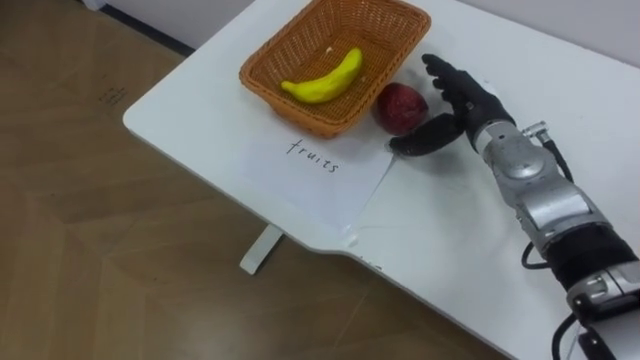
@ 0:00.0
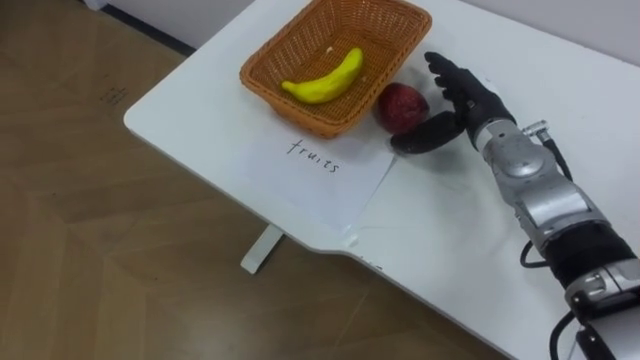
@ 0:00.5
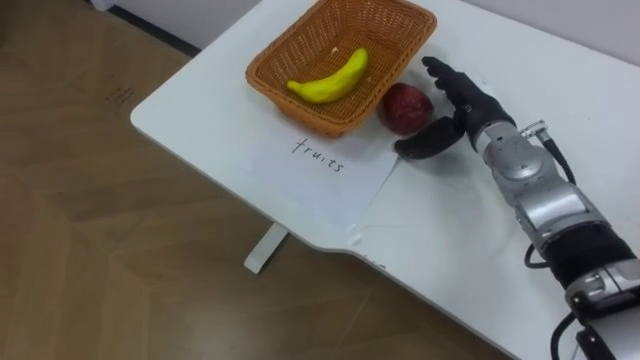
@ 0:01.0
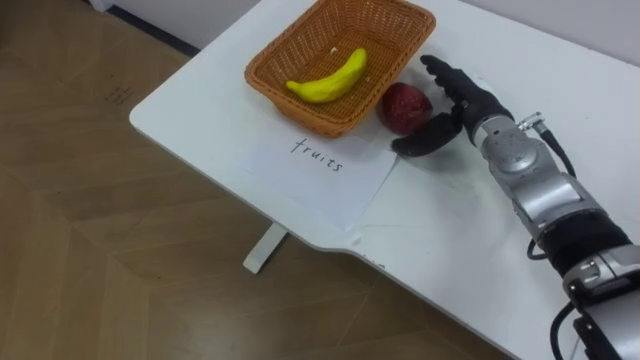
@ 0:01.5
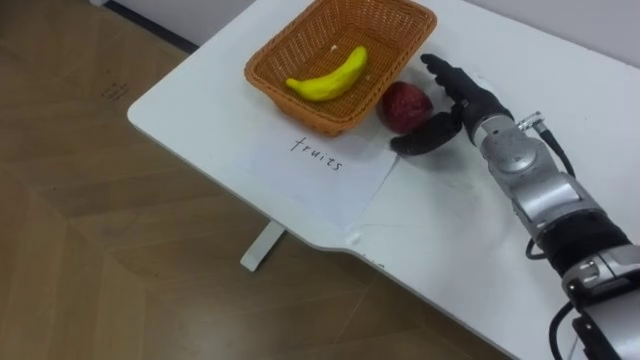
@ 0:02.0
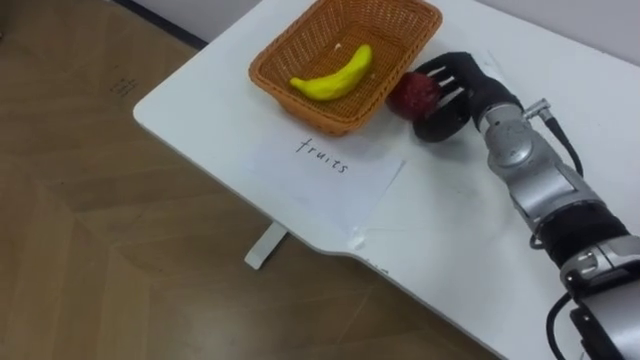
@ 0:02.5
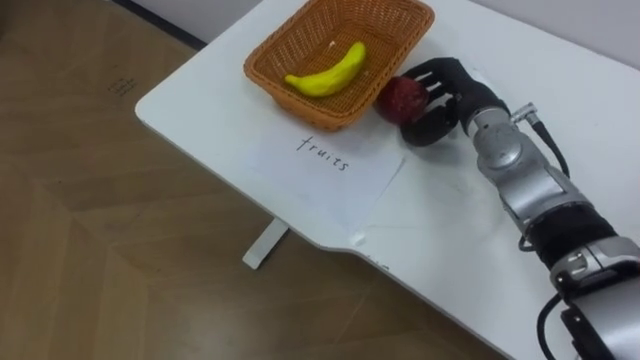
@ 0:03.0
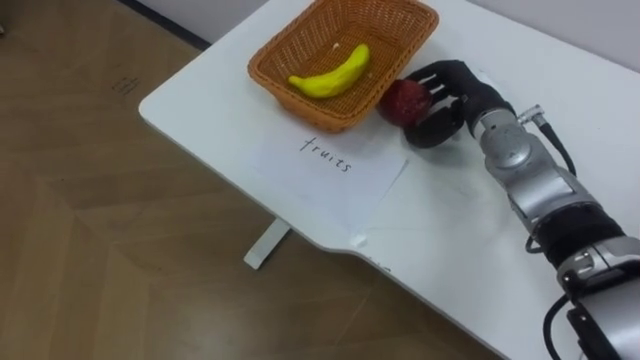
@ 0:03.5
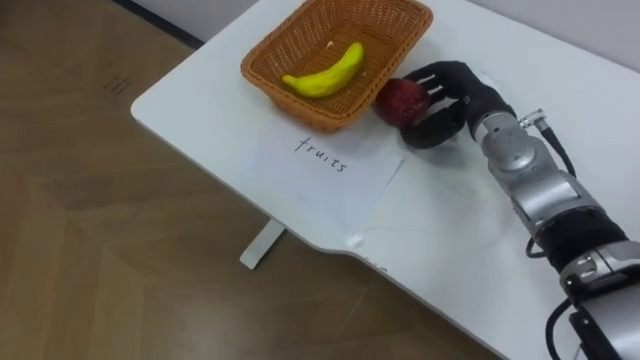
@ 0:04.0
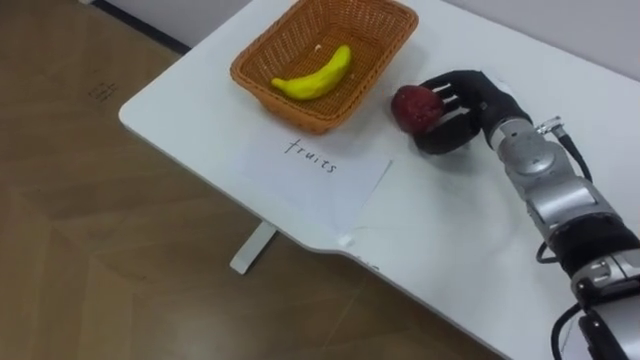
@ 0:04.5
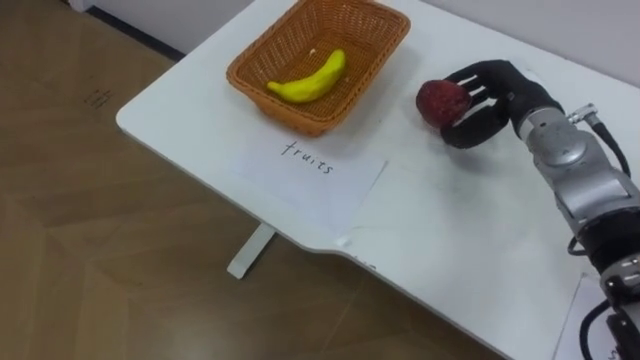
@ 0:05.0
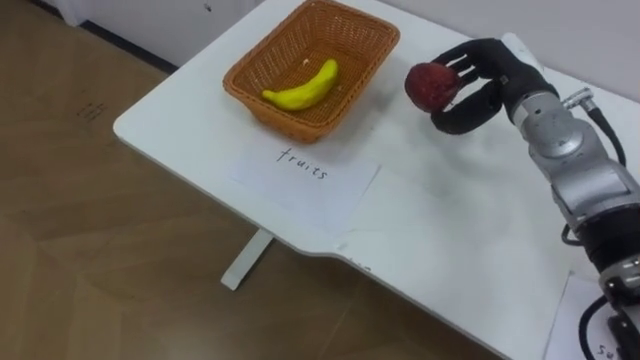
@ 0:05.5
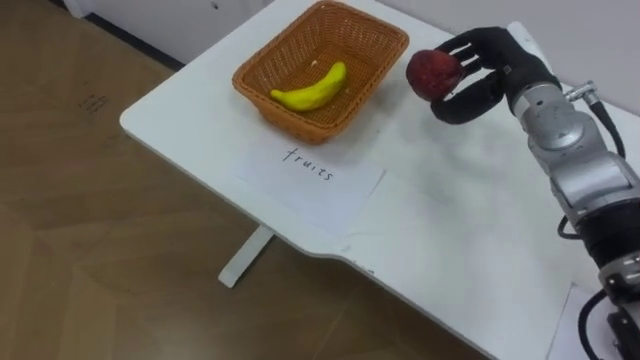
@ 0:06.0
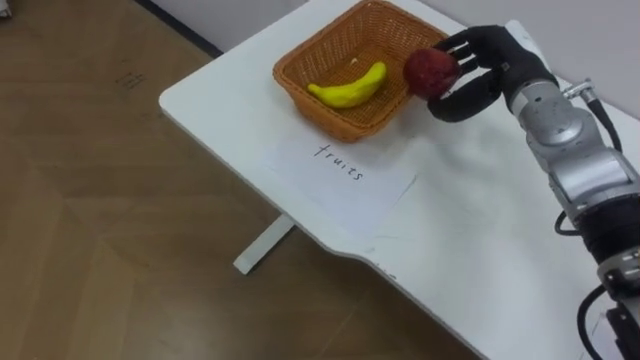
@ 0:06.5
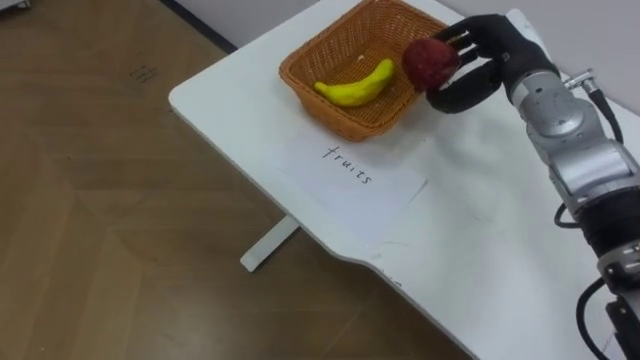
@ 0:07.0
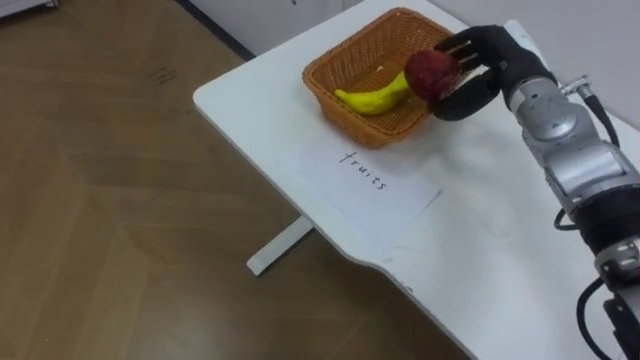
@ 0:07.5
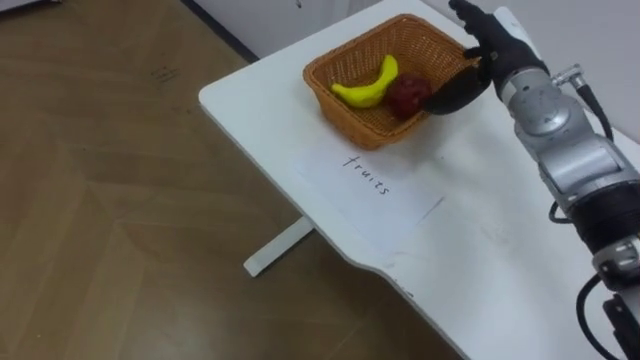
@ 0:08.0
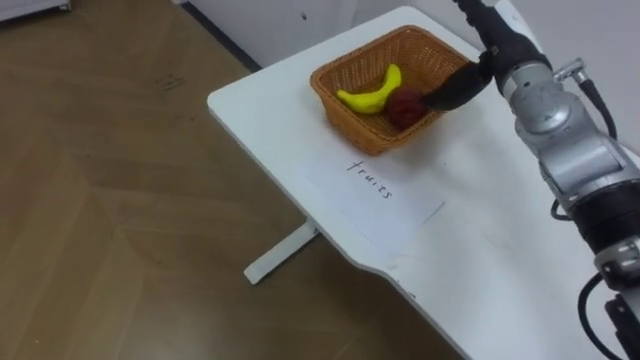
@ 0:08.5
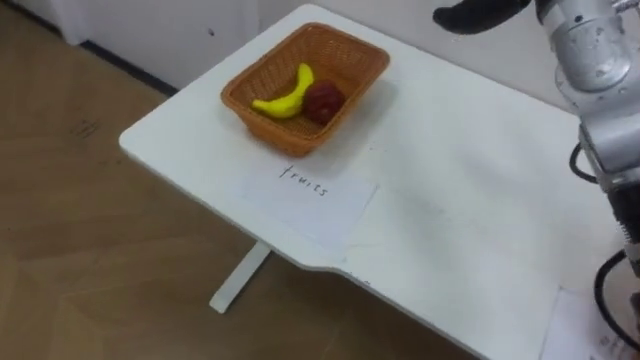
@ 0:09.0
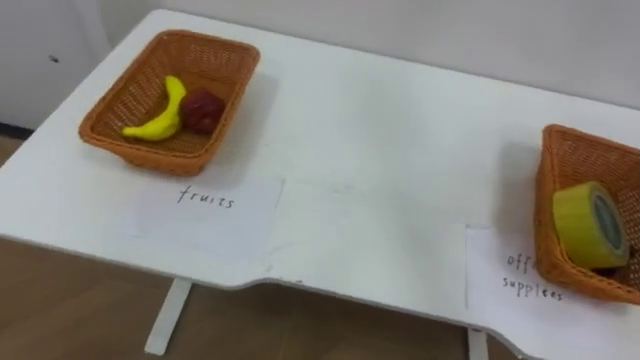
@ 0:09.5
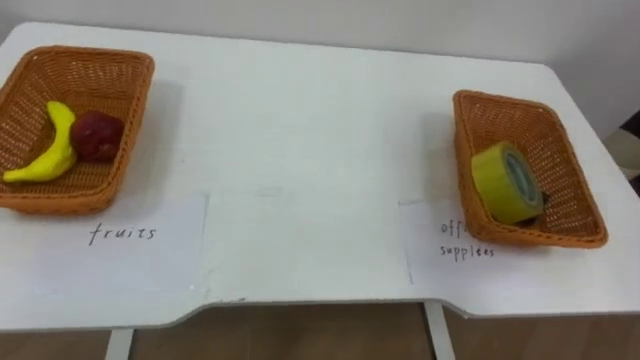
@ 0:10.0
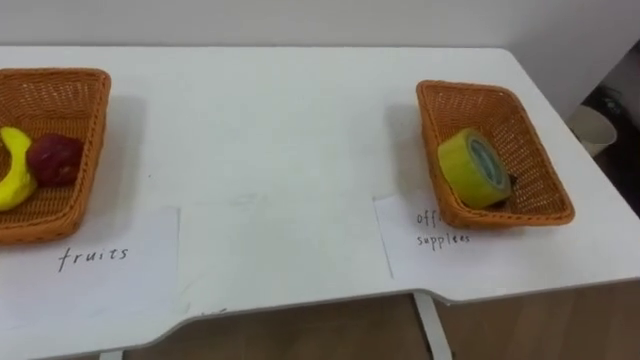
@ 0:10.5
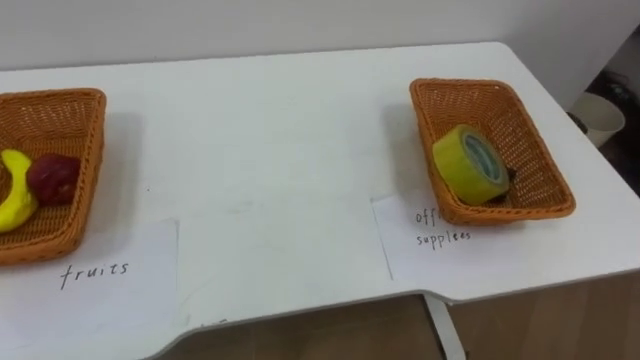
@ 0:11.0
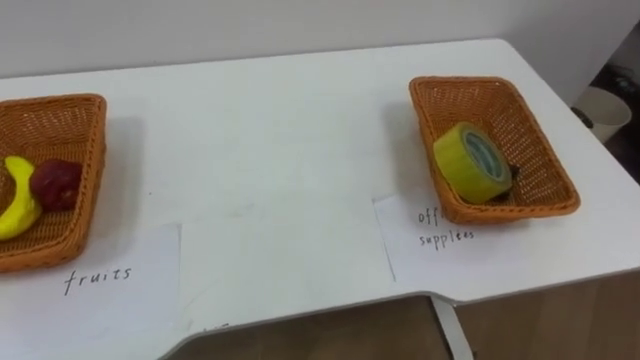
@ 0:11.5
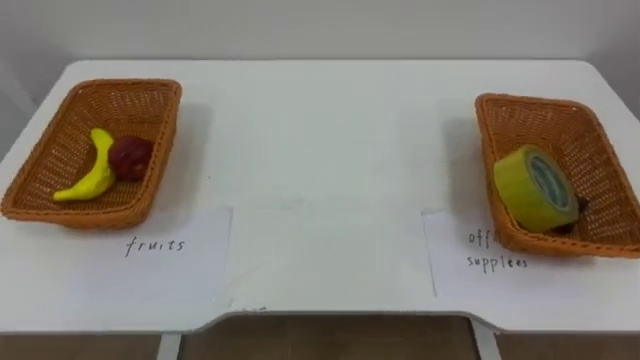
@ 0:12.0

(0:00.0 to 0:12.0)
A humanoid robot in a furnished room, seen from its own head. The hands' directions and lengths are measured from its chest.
Task of the whole recording: Separate the items on the table and place them into the two baskets.
0:02.0 - 0:04.0: The right hand closes.
0:04.0 - 0:06.0: The right hand ends up some 5 cm from where it was.
0:06.0 - 0:08.0: The right hand opens its fingers.

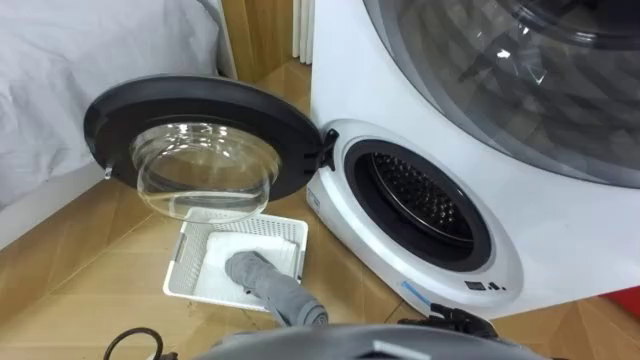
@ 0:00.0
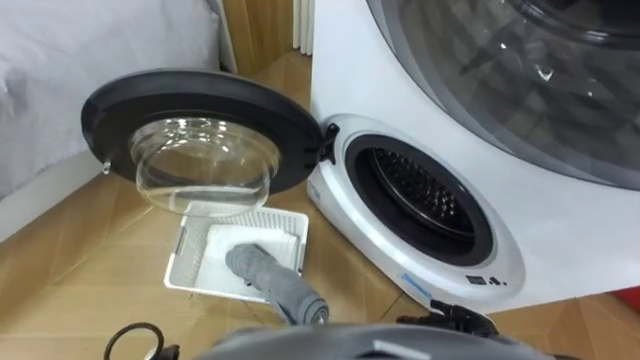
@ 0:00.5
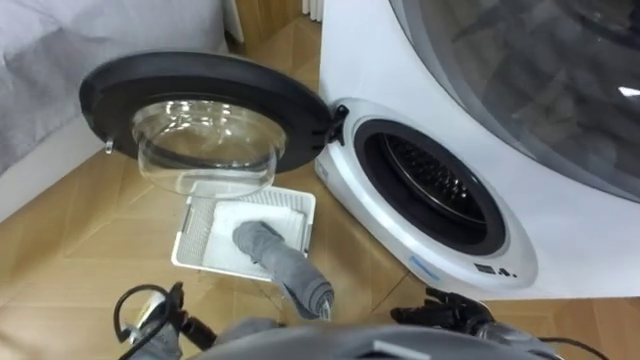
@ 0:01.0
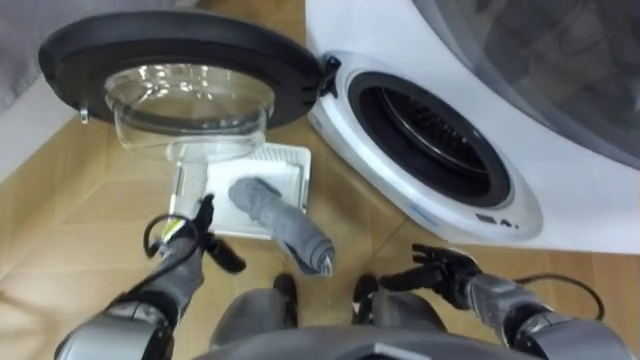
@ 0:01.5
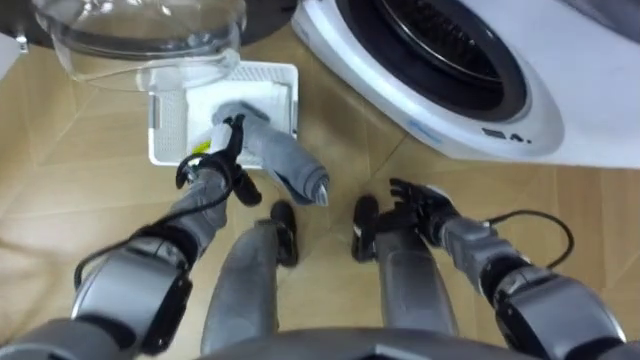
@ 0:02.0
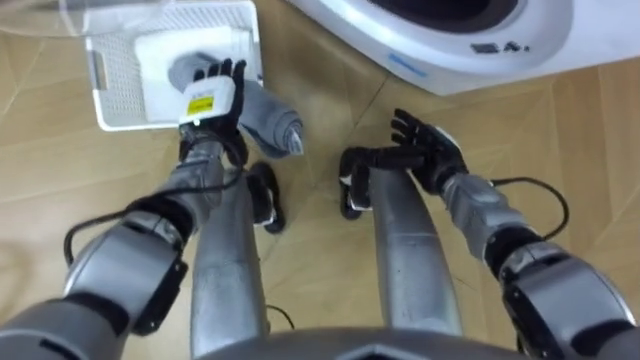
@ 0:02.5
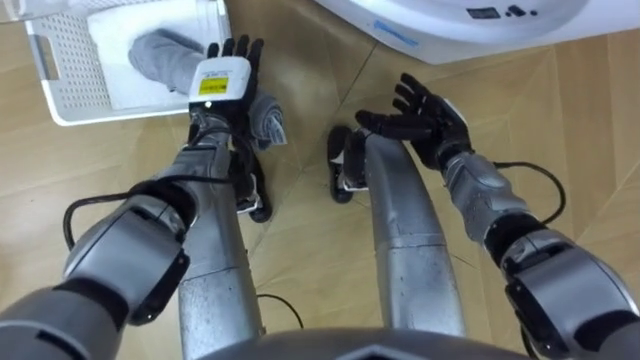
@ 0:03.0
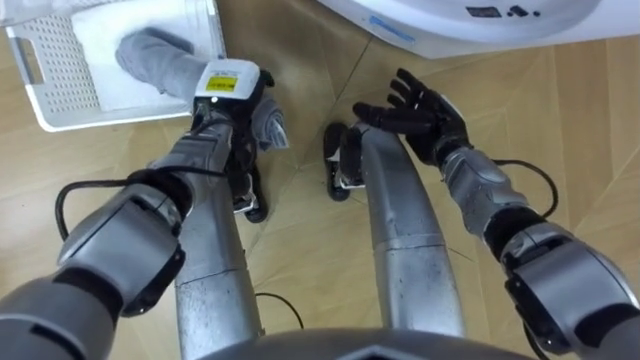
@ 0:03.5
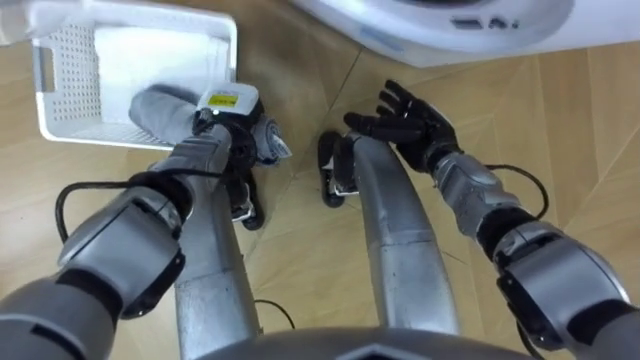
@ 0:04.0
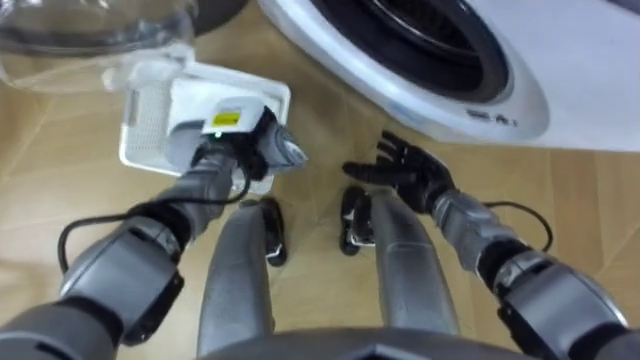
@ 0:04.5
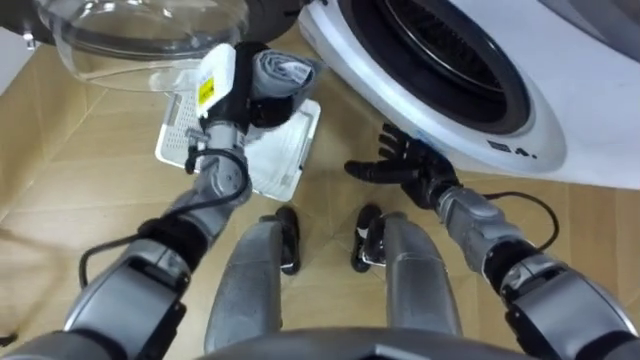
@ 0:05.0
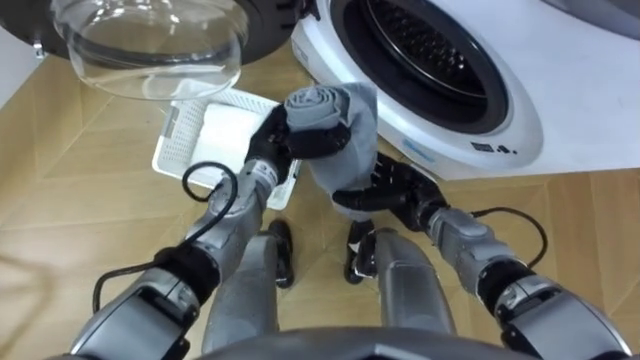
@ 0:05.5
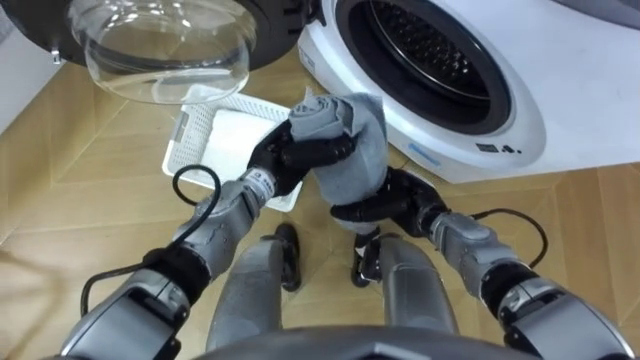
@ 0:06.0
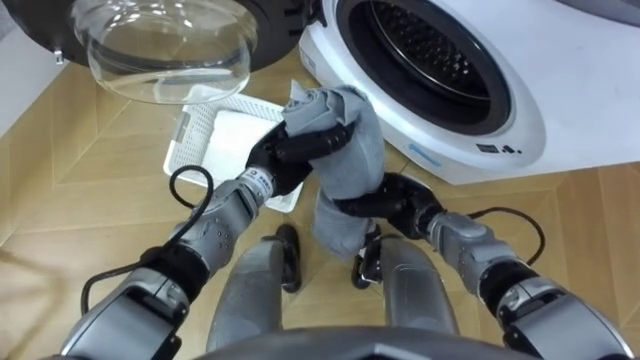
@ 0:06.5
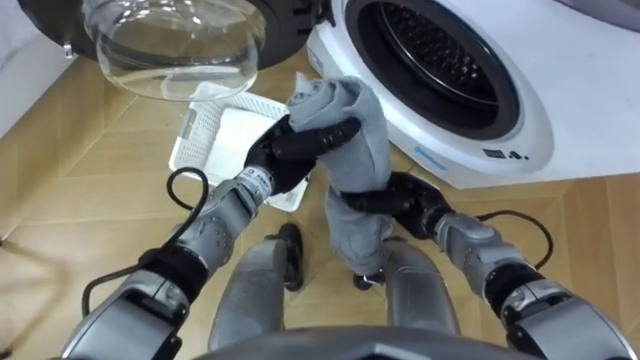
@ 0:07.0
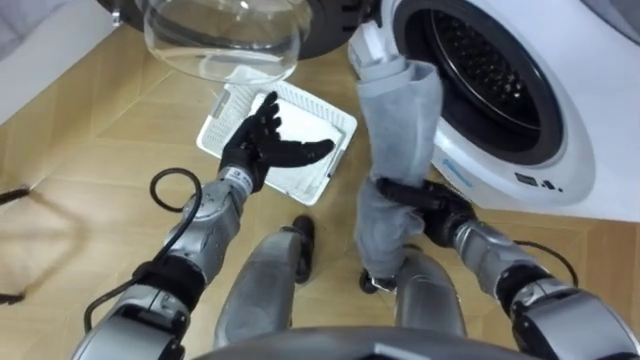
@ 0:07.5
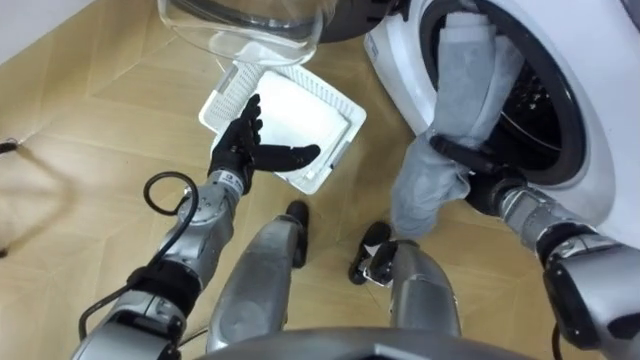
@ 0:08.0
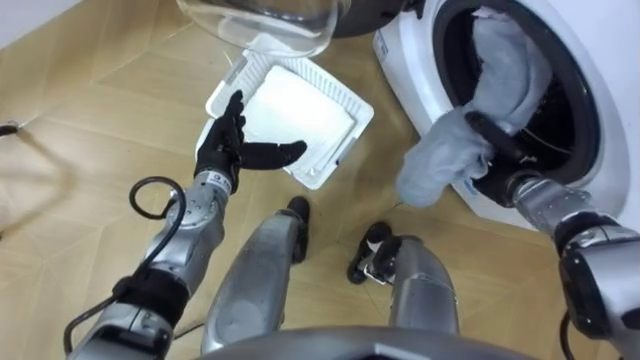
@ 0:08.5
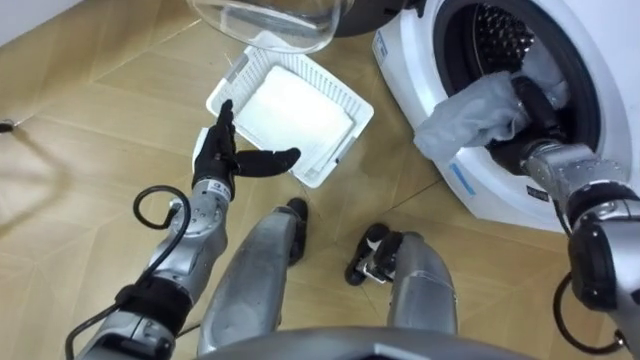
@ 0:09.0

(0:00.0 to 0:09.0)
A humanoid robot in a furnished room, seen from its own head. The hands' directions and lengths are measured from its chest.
Task of the whole recording: Take the towel from the basket and put it into the washing machine.
0:02.0 - 0:04.5: The left hand closes. Meanwhile the right hand shifts roughly 5 cm forward.
0:04.5 - 0:07.0: The right hand closes its fingers. The left hand heads to the right, covering some 5 cm.
0:07.0 - 0:09.0: The right hand travels to the right and forward by about 20 cm; the left hand shifts some 10 cm to the left, and opens.
